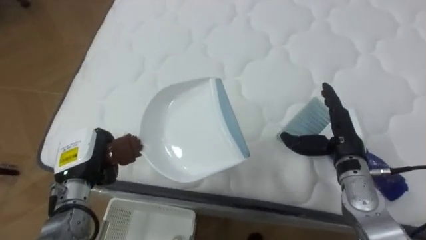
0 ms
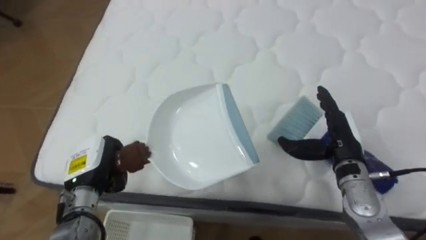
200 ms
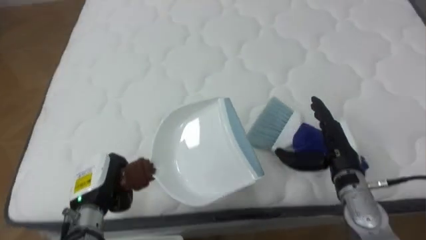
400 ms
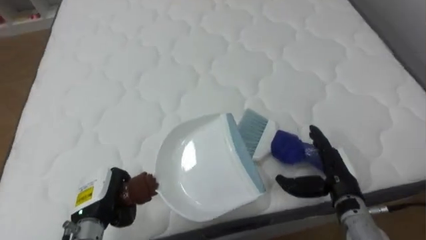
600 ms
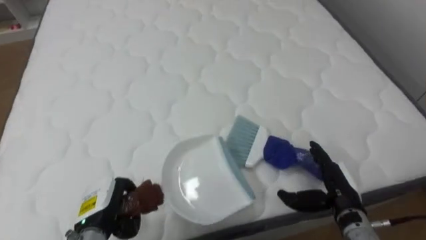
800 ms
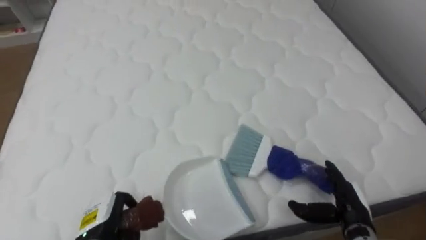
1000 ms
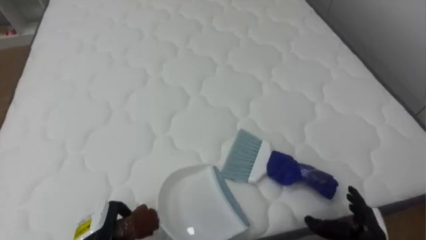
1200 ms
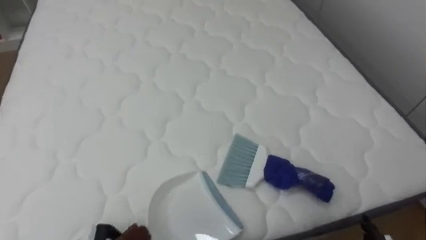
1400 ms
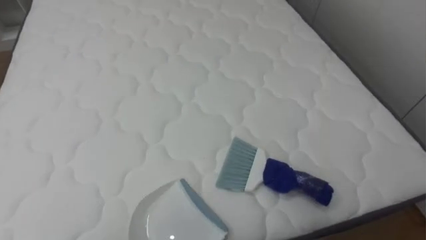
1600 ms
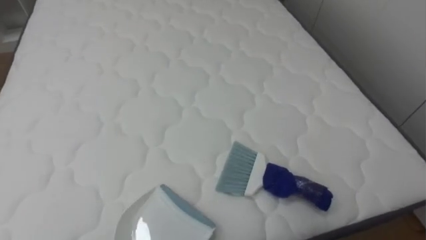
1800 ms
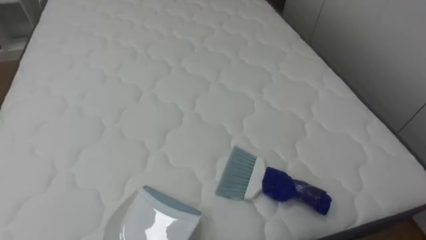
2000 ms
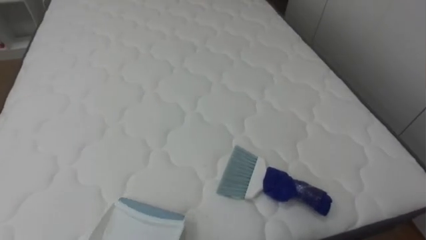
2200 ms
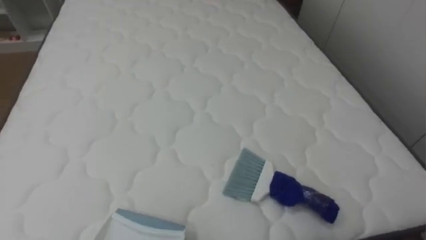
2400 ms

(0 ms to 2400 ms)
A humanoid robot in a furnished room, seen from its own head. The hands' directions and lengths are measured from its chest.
Task of the whole recording: Pick up the brush on your right and the dustpan on your left. Use the brush to sweep the crumpled paper on the bed into the dustpan, then turn left and empty it into the basket.
0 ms - 1200 ms: The robot rotates approximately 25 degrees to its right. Both hands travel together backward and downward, about 15 cm.

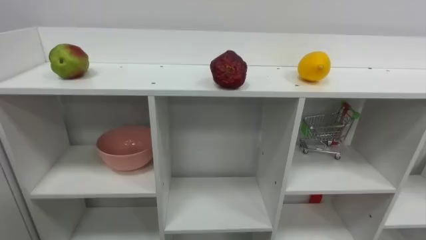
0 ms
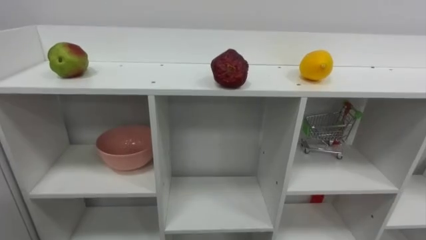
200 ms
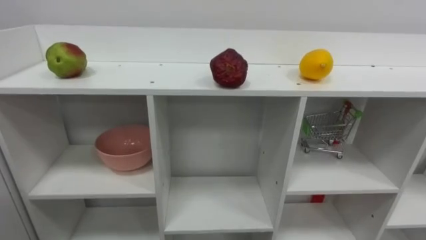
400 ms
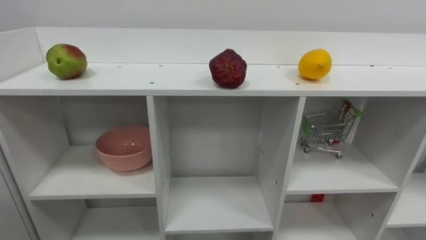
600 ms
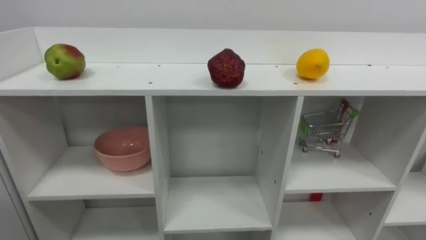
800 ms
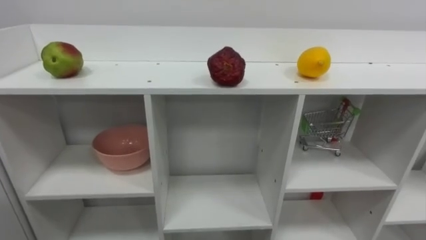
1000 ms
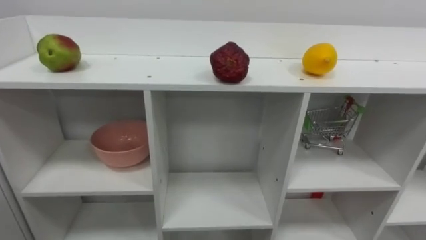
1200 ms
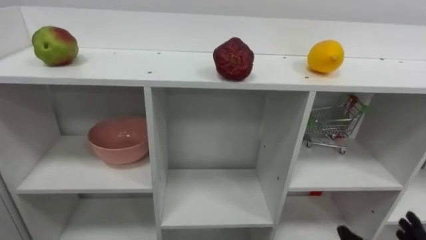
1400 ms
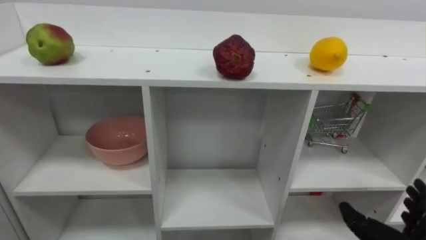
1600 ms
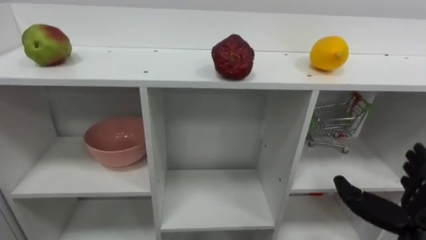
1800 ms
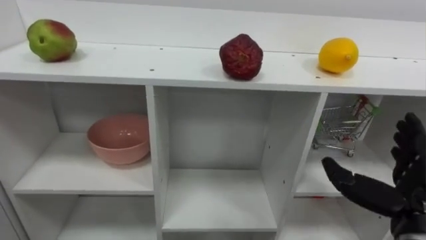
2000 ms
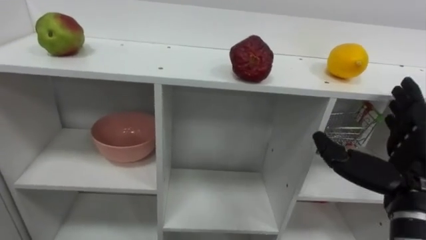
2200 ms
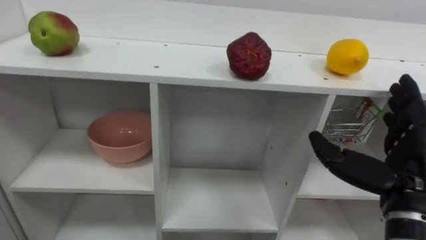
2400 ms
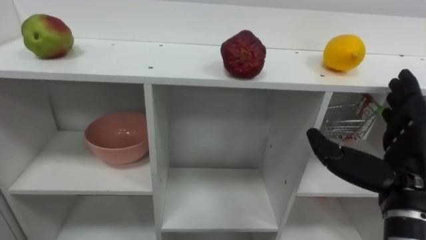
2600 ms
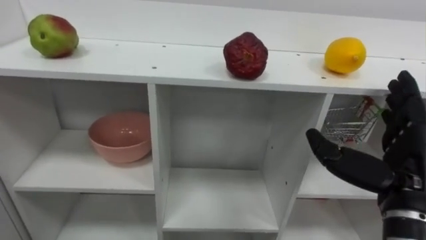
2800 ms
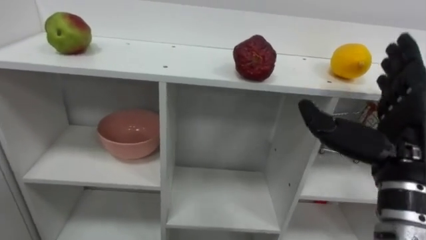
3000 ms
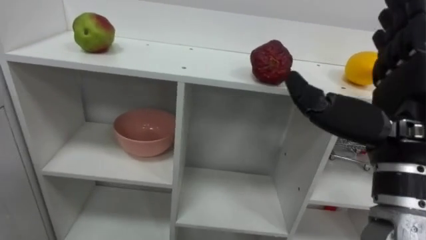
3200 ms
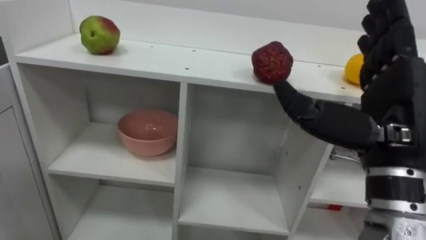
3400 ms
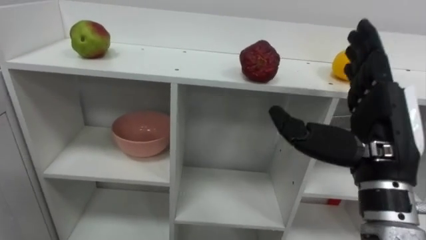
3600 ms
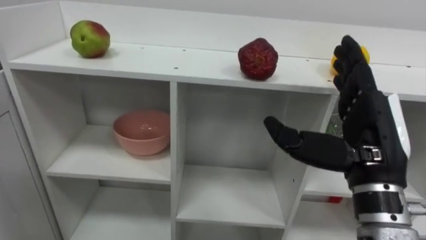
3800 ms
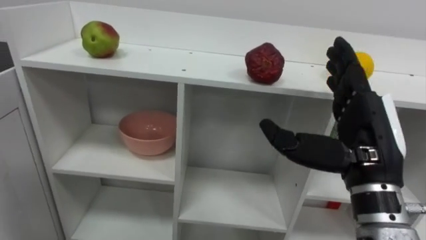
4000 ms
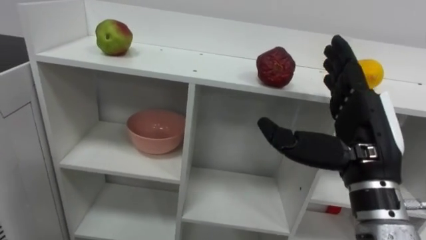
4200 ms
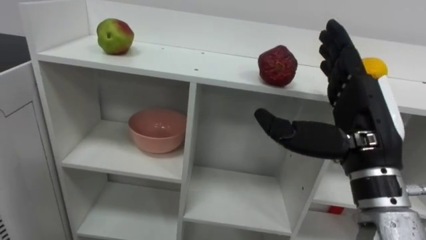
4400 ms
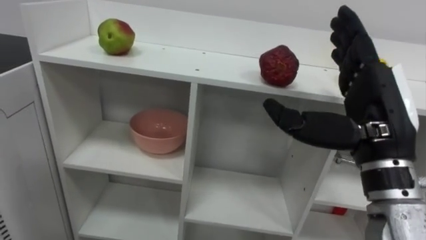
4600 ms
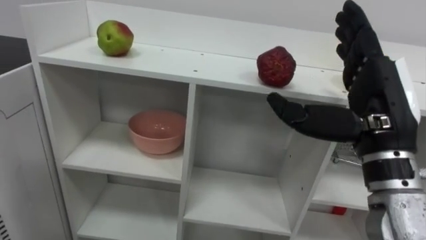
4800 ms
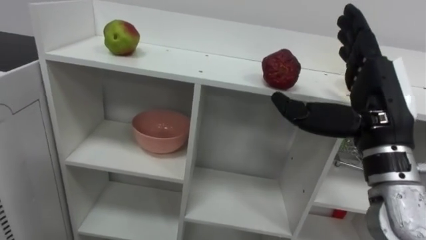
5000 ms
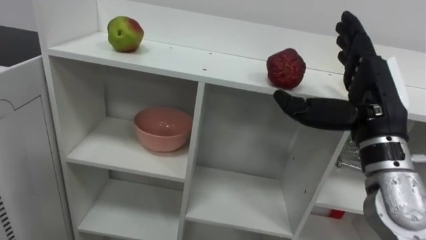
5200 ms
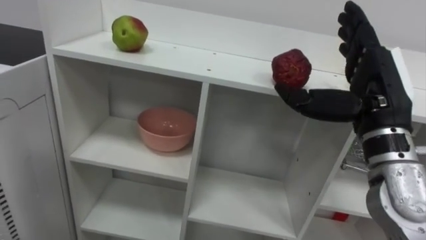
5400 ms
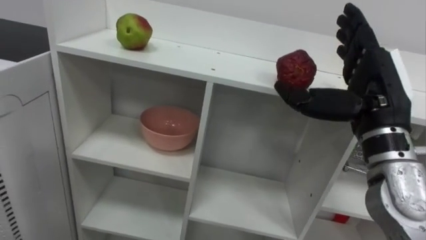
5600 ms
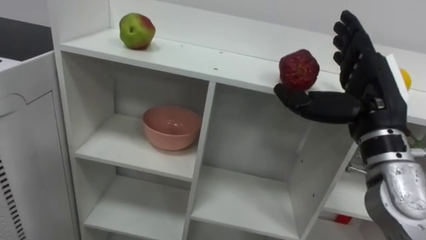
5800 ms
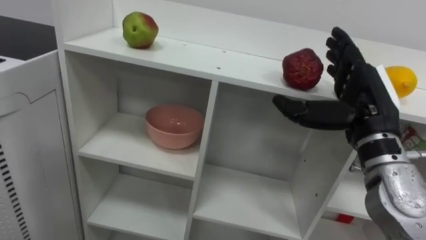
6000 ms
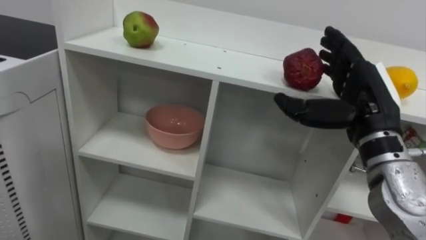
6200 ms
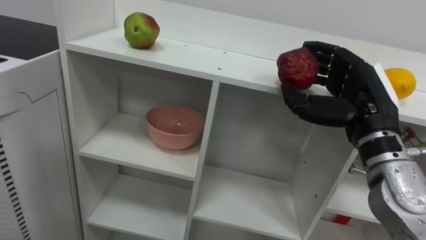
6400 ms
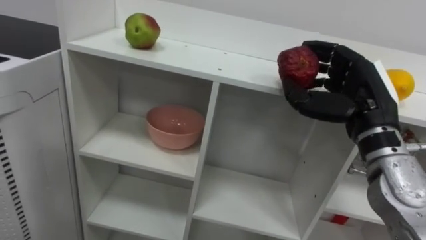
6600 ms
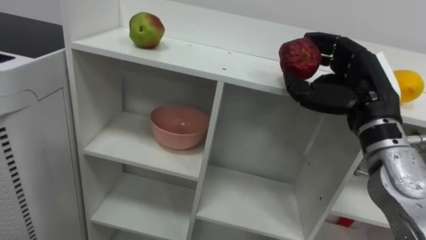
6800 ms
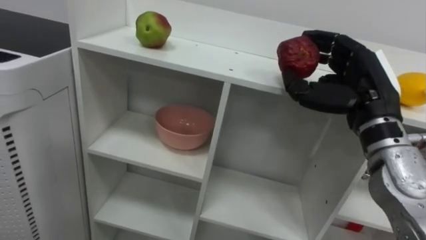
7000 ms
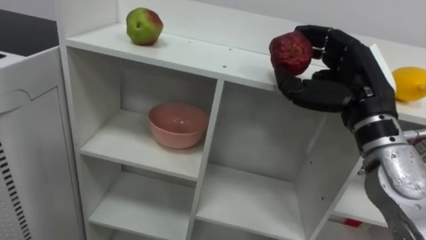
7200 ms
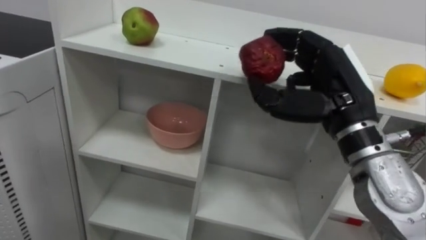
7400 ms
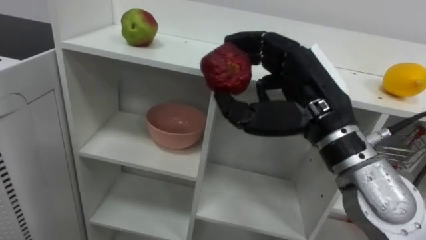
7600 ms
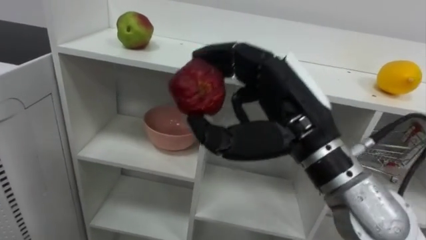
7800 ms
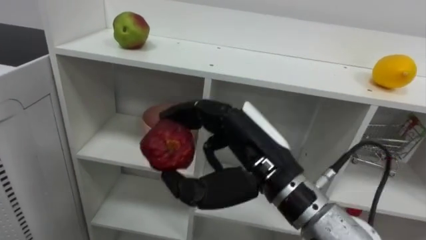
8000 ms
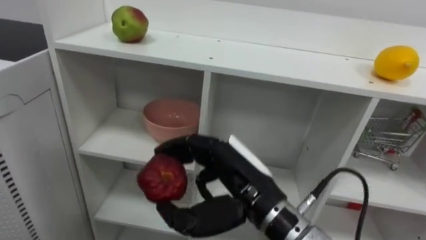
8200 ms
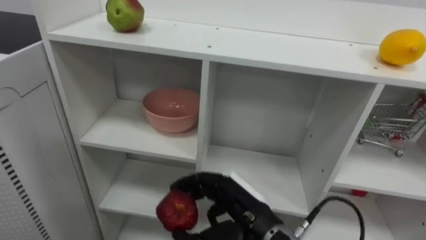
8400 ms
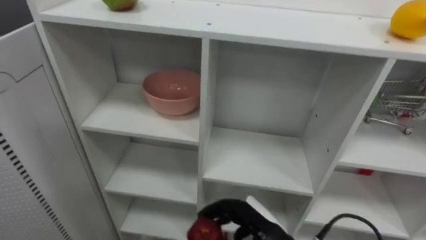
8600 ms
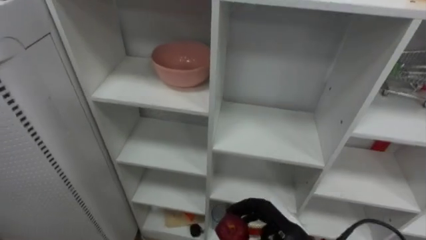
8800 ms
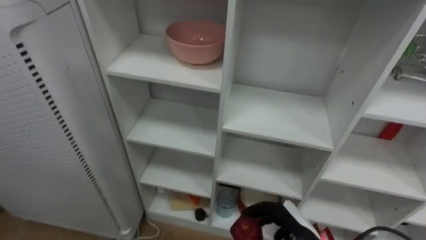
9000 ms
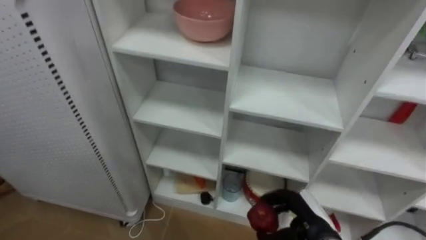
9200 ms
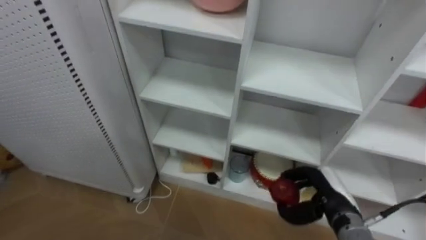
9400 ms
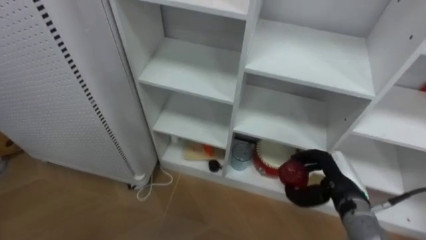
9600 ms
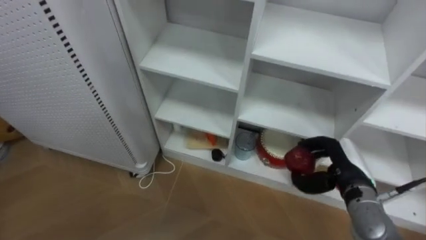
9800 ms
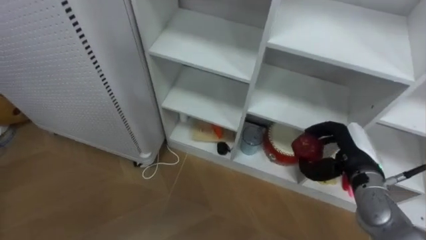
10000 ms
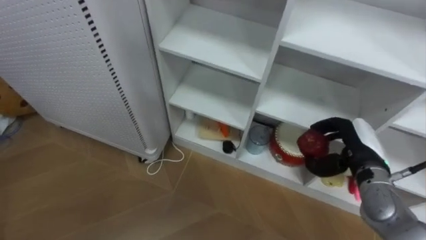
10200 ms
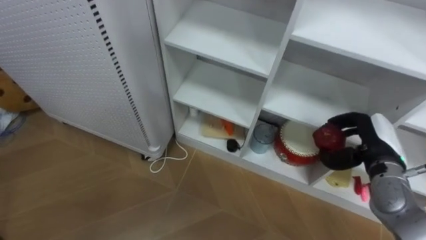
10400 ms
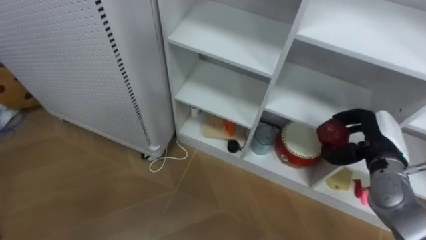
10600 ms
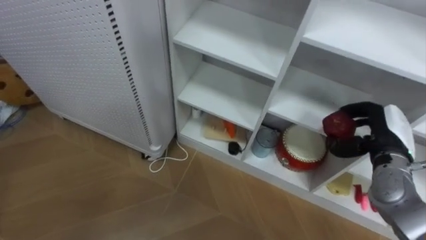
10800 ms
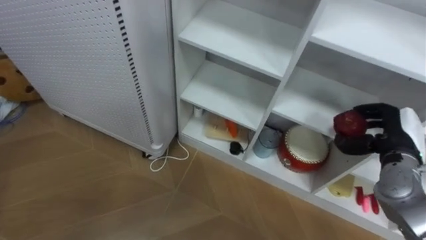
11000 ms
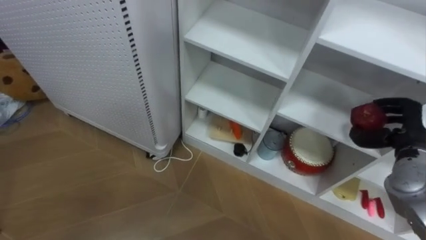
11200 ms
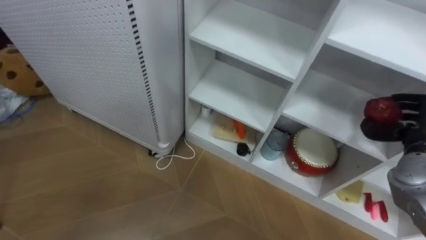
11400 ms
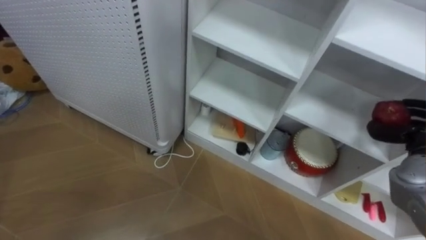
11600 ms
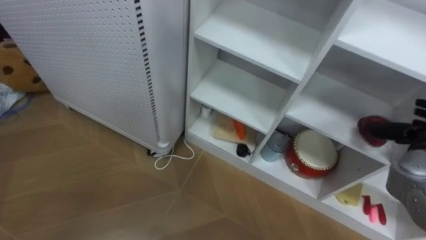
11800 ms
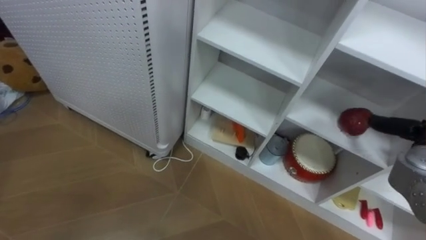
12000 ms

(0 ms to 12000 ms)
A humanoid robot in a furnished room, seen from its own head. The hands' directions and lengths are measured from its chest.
Task of the whole recording: Put the apple in the cell in the second column from the left and the second row from the top.
4400 ms - 6000 ms: The right hand goes about 5 cm forward.
6000 ms - 7600 ms: The right hand heads to the left, covering about 10 cm, and closes up.
7600 ms - 9000 ms: The right hand heads downward, covering some 30 cm.
9000 ms - 10400 ms: The right hand heads to the right, upward and forward, covering approximately 20 cm.
10400 ms - 12000 ms: The right hand travels to the right by approximately 10 cm, and opens.

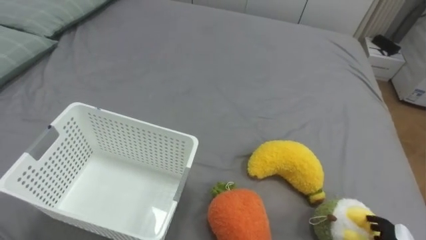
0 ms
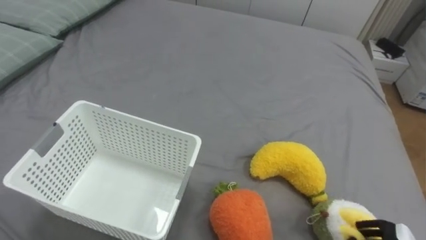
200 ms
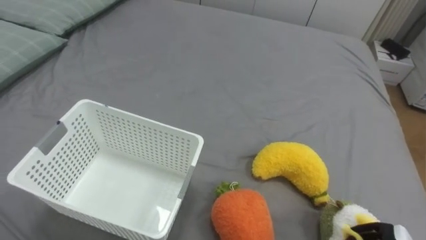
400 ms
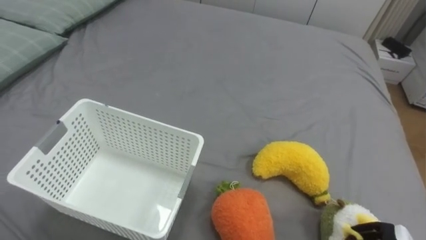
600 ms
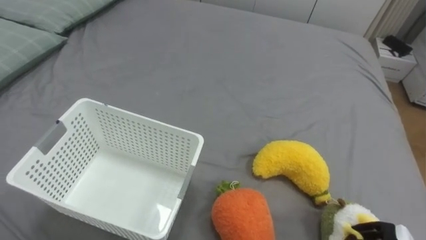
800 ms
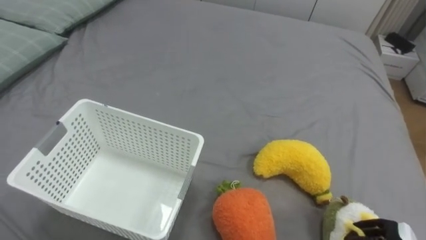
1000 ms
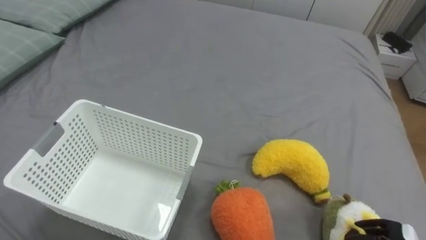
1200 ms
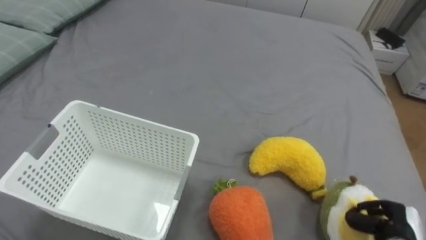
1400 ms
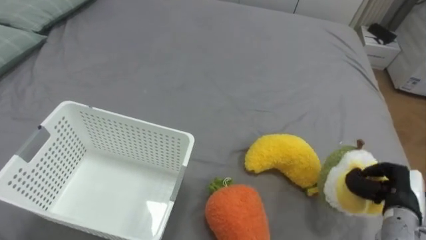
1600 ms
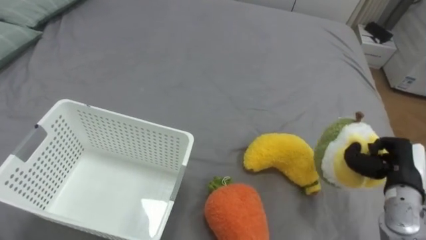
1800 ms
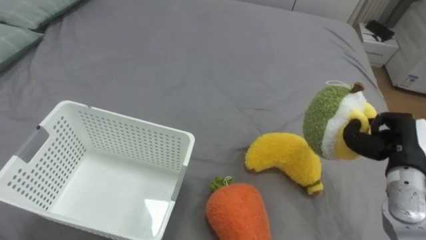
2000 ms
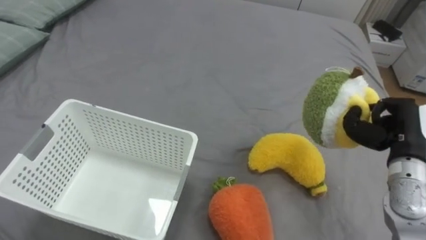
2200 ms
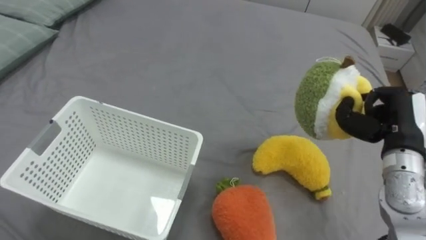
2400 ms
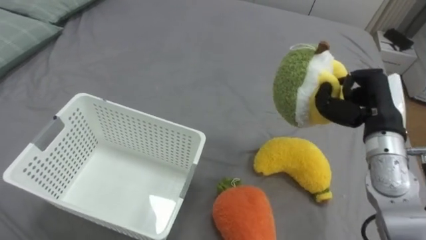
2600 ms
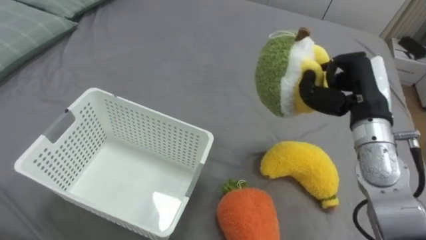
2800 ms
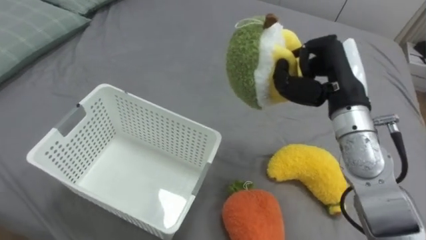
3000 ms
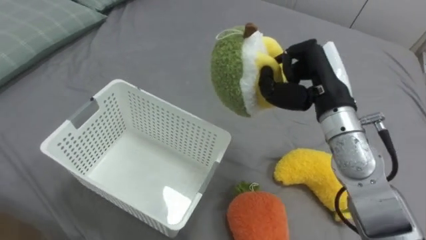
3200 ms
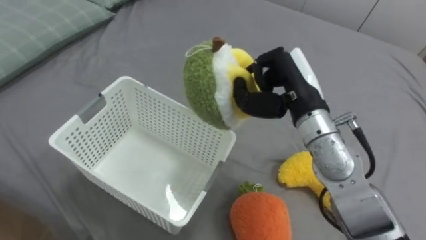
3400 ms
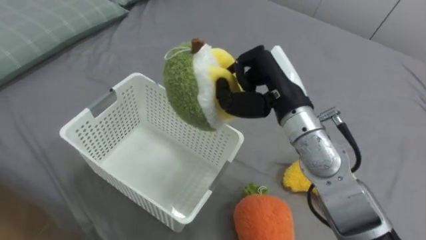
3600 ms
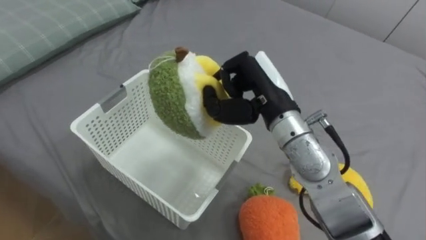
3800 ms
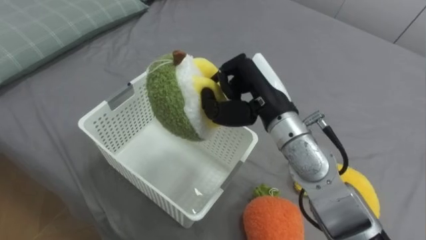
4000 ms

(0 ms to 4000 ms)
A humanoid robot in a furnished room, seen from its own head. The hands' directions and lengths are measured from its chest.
Task of the whole recording: Put the toys on the bed into the basket on the left.
1400 ms - 2600 ms: The right hand moves upward, forward and to the left, about 25 cm.
2600 ms - 4000 ms: The right hand shifts roughly 20 cm to the left.
